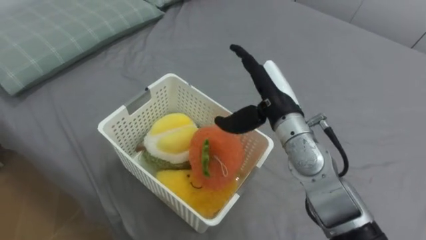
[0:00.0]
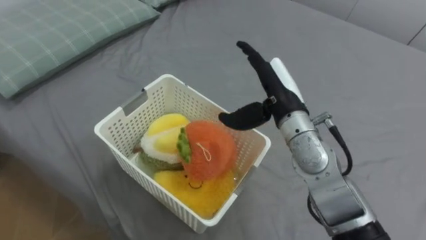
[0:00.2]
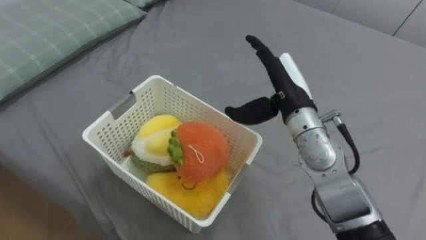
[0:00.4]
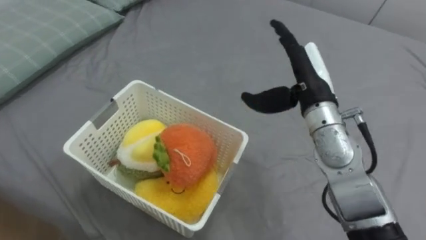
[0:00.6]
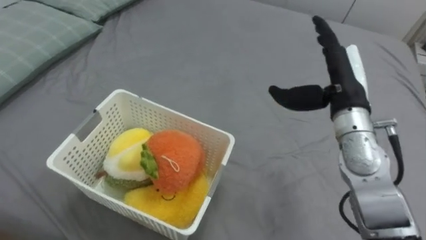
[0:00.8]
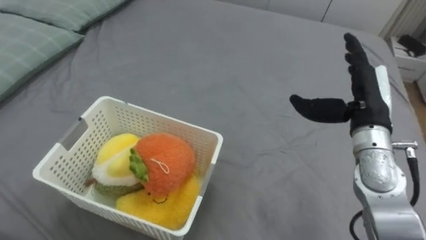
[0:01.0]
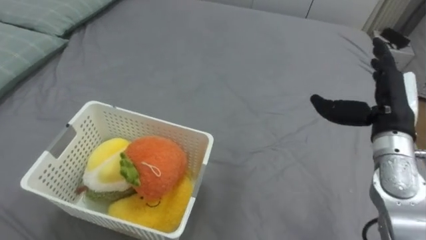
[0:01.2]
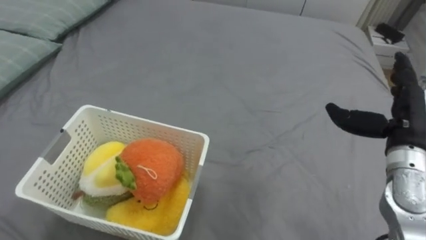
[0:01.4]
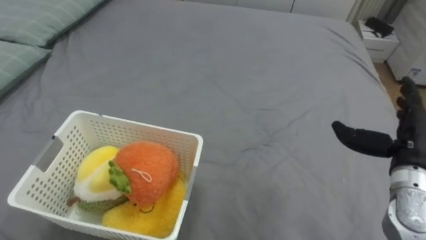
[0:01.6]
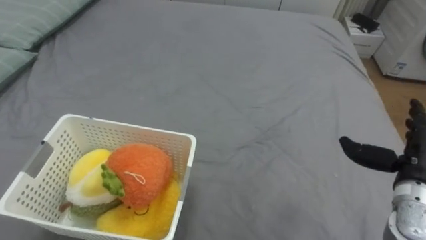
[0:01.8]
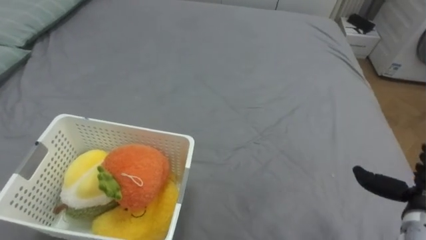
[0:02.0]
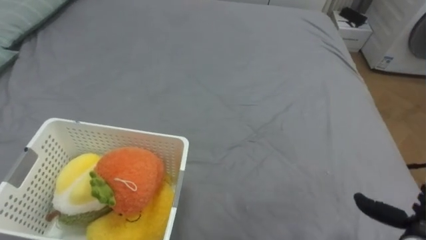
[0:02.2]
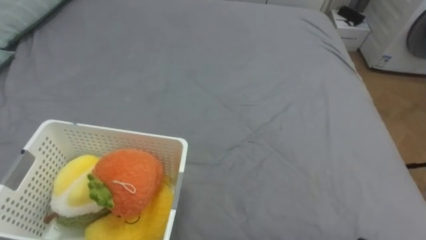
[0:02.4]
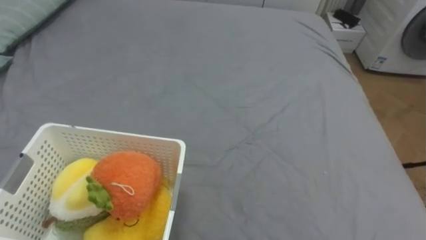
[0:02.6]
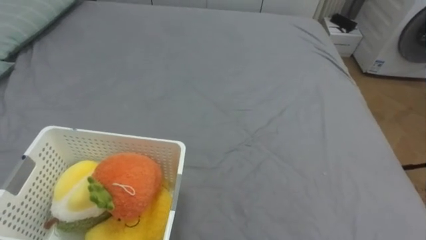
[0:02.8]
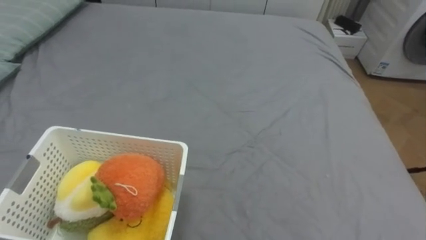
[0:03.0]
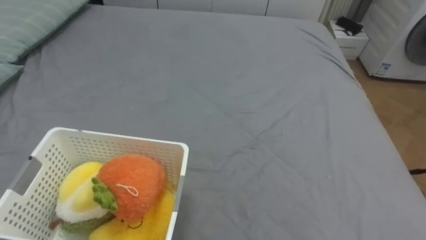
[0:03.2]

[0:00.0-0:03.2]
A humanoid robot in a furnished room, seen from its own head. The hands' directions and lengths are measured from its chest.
Task of the whole recording: Put the toys on the bed into the basket on the left.
0:00.0 to 0:01.6: The right hand shifts some 20 cm to the right.

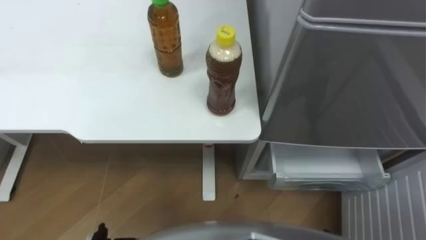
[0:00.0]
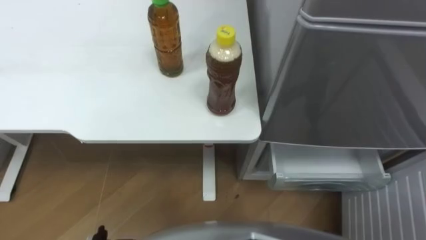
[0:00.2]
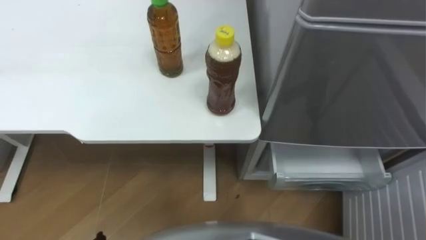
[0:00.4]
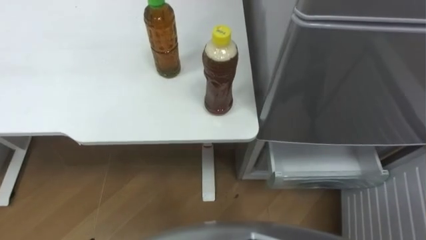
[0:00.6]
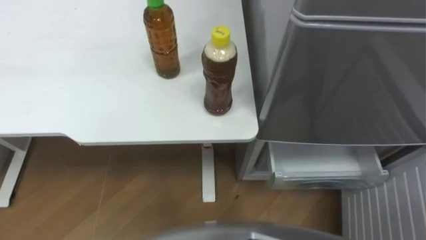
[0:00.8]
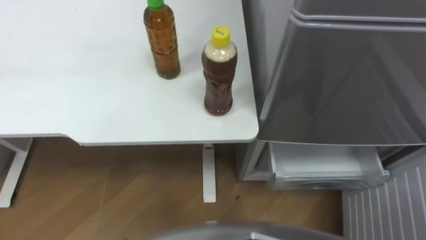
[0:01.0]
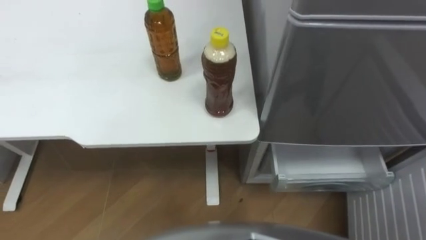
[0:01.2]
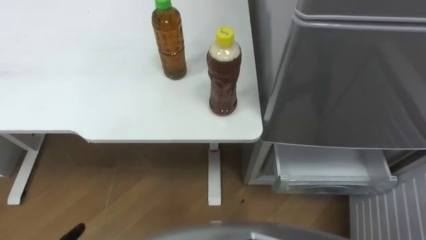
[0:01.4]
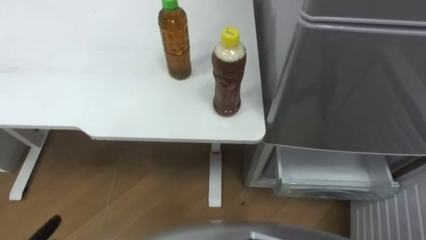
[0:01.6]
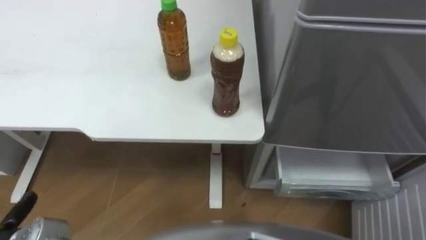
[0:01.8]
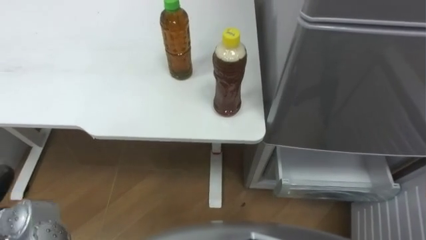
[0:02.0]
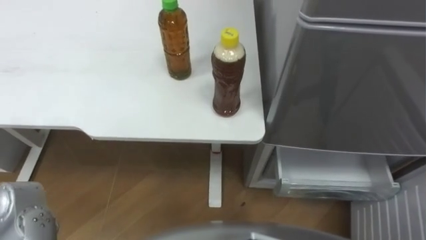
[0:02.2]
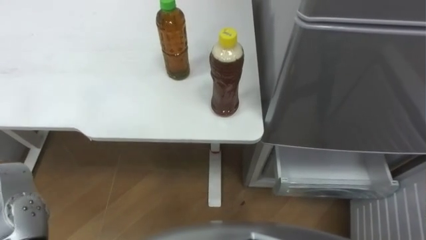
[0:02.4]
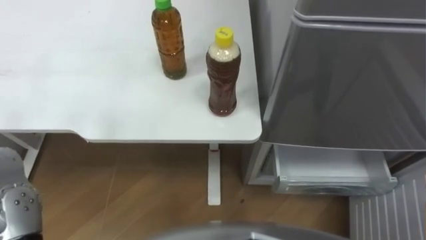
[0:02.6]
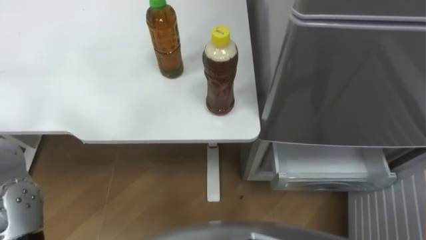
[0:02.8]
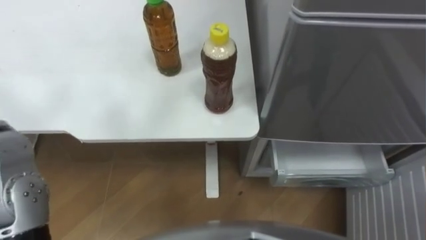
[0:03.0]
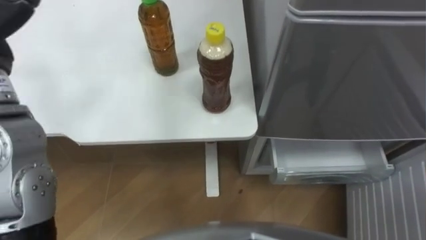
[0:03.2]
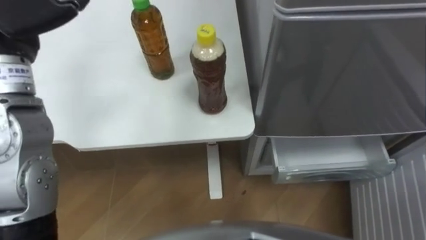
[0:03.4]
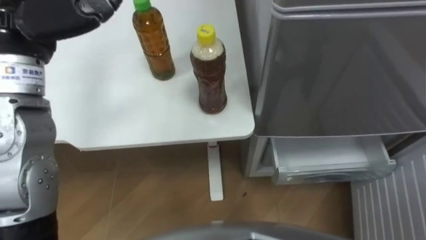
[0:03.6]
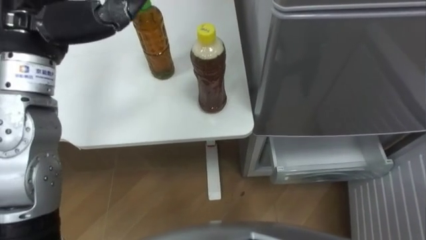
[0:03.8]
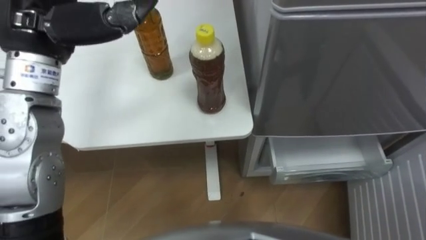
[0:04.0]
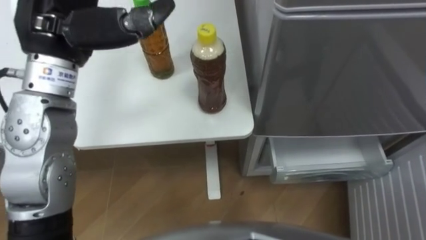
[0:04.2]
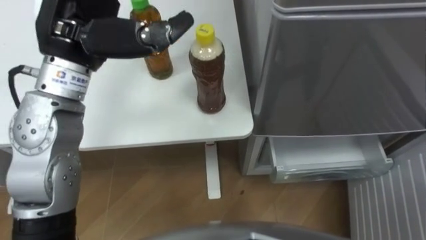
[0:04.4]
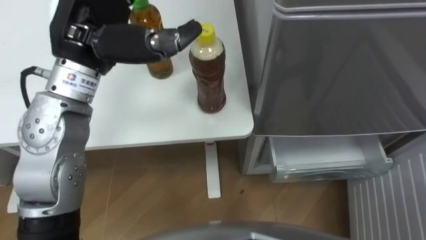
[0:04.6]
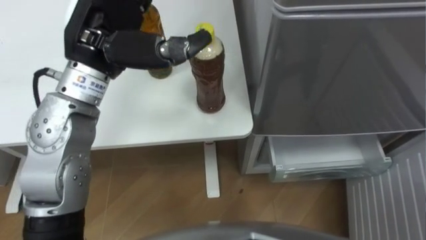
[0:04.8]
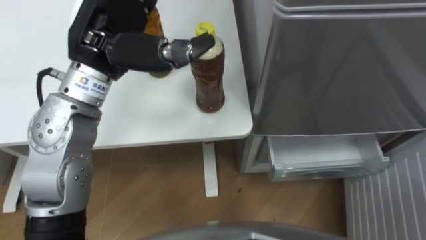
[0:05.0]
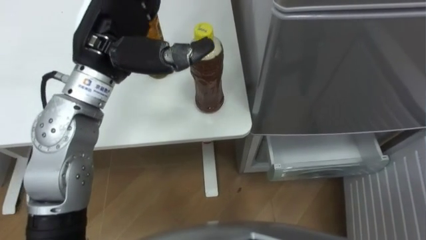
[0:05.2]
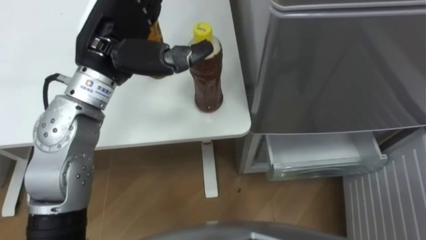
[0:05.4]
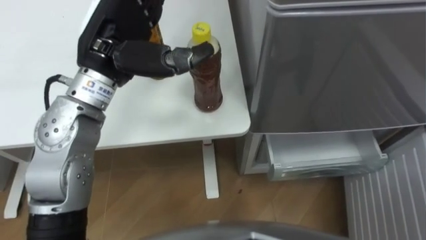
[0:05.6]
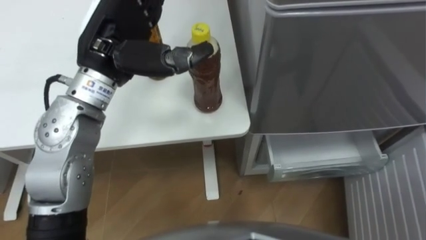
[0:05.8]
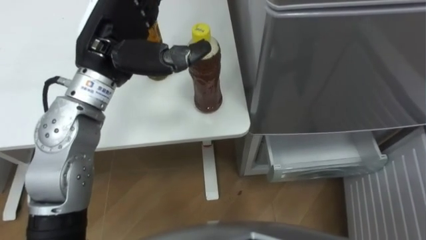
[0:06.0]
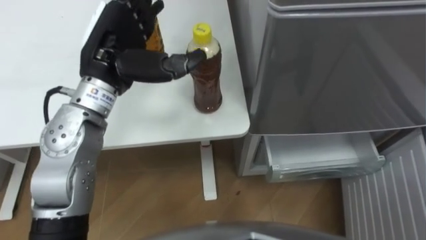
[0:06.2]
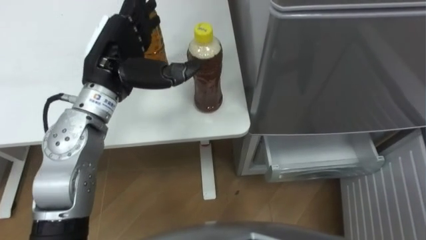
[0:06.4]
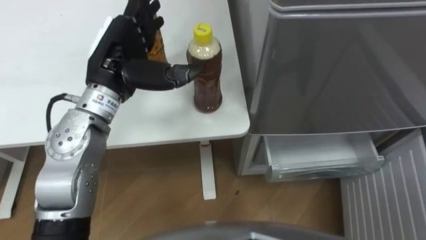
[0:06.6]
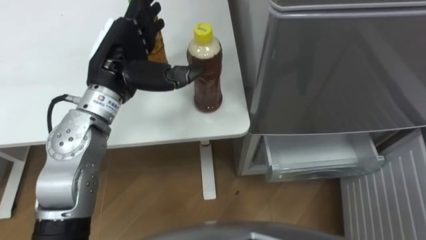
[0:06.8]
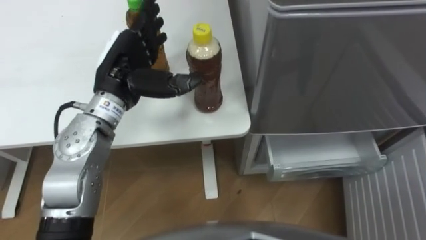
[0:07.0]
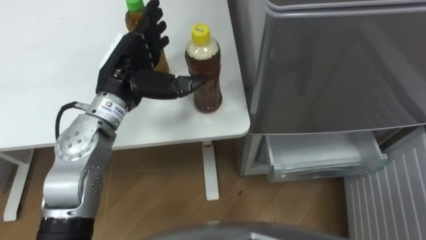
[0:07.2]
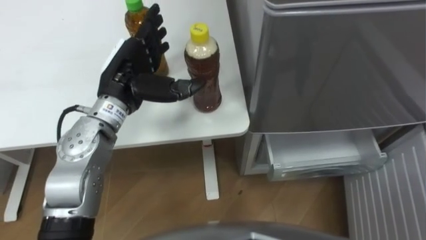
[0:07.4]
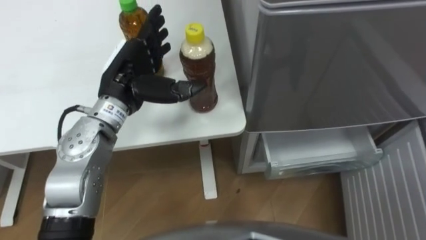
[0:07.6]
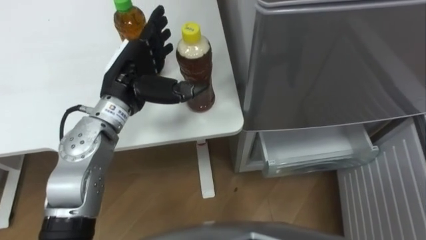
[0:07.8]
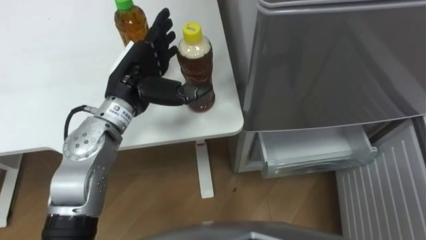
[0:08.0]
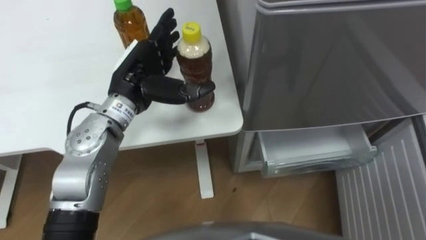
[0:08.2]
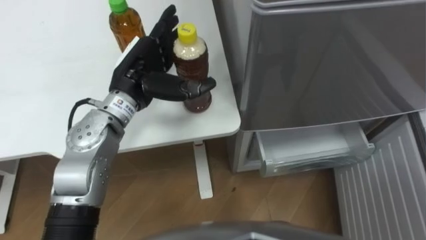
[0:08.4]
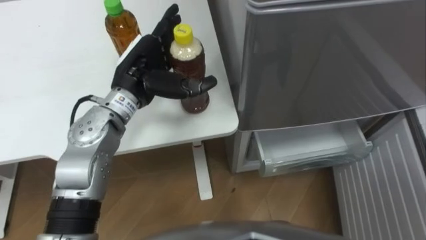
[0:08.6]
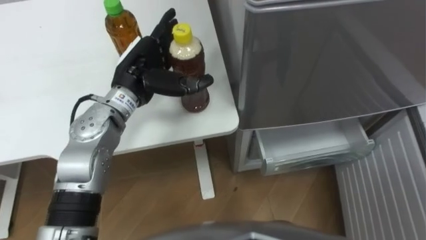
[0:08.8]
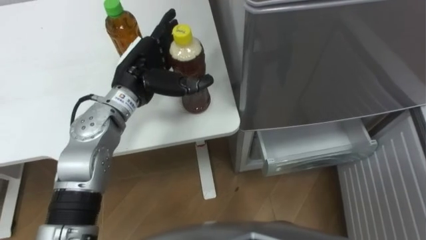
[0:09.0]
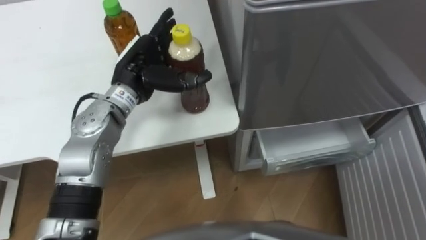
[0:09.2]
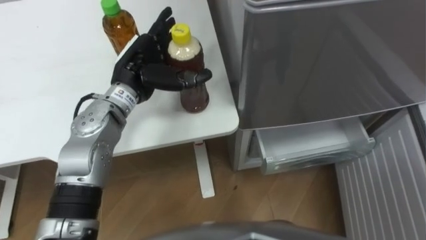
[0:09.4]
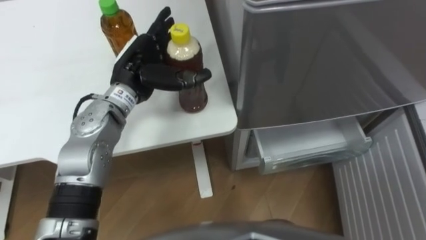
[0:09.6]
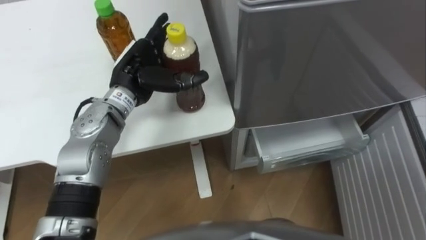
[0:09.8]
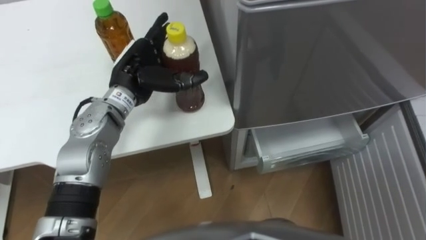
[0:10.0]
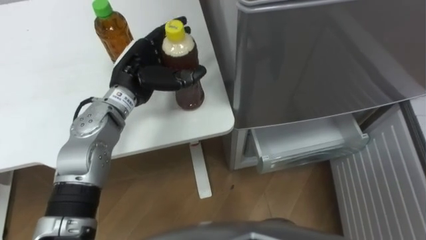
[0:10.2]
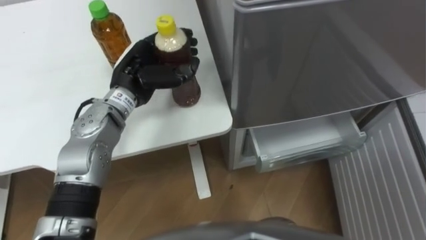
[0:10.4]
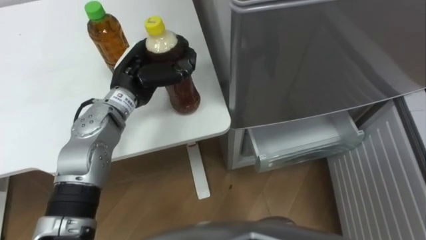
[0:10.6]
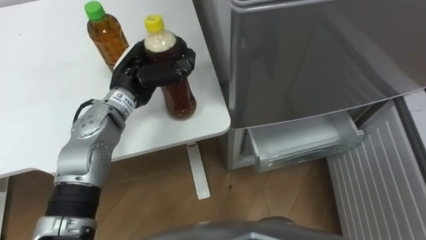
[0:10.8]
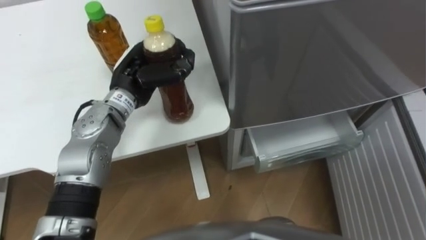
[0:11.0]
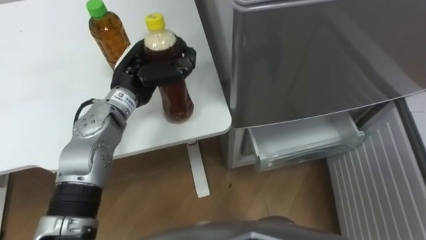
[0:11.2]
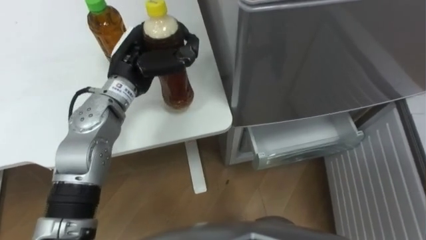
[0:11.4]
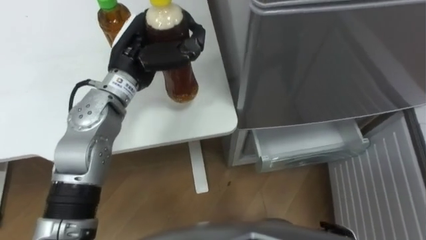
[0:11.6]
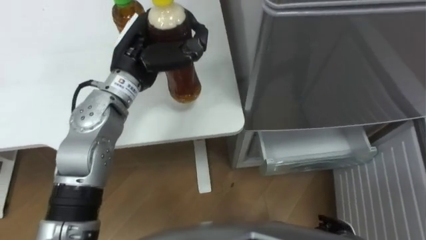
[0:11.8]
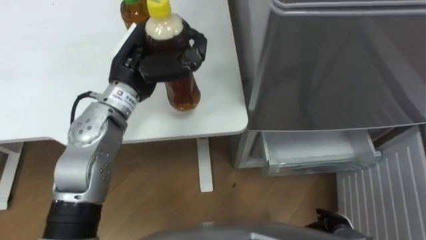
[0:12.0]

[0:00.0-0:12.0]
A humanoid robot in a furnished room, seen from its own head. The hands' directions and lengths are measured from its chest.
Task of the whole recording: Place the drink on the table on the bottom shelf of the refrigerator, then close the drawer and the refrigerator door.
0:04.4 to 0:06.0: The left hand changes place by about 5 cm.
0:06.0 to 0:07.6: The left hand is displaced downward by approximately 10 cm.
0:09.0 to 0:10.4: The left hand closes.
0:10.4 to 0:12.0: The left hand heads upward, covering roughly 5 cm, and closes up.

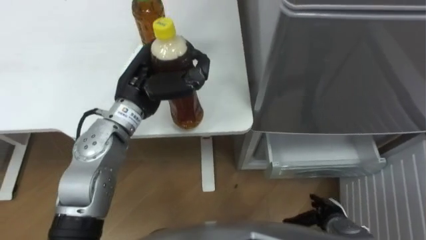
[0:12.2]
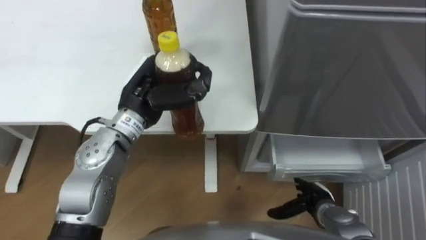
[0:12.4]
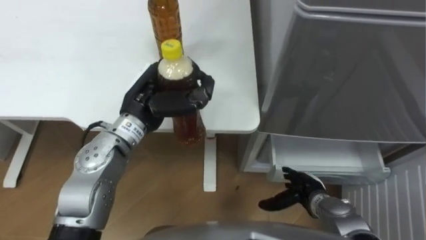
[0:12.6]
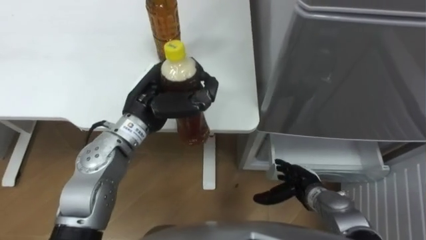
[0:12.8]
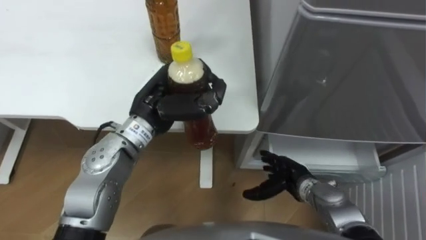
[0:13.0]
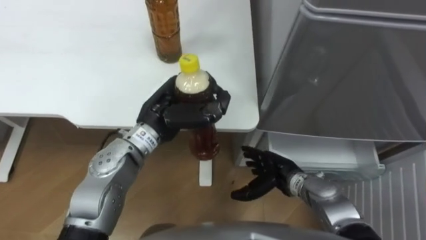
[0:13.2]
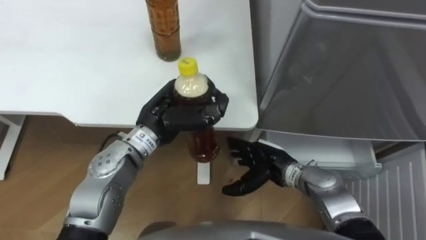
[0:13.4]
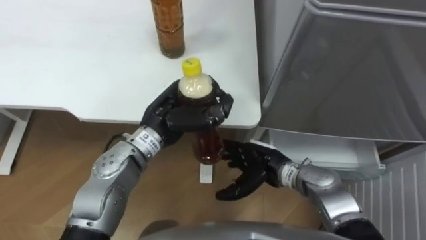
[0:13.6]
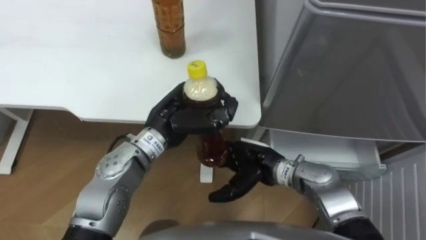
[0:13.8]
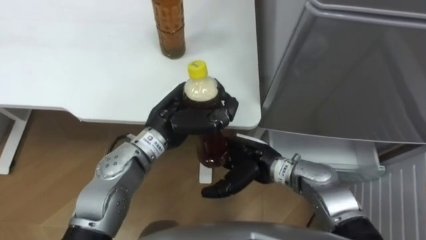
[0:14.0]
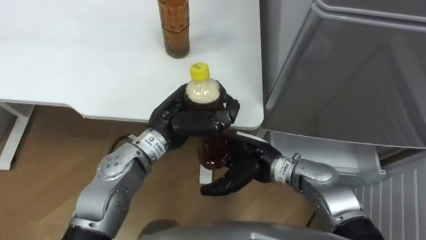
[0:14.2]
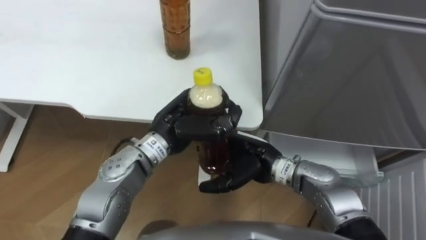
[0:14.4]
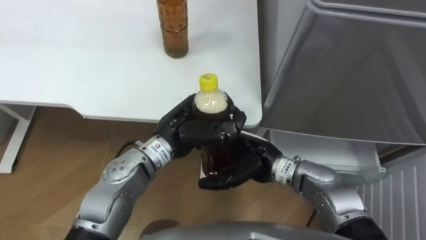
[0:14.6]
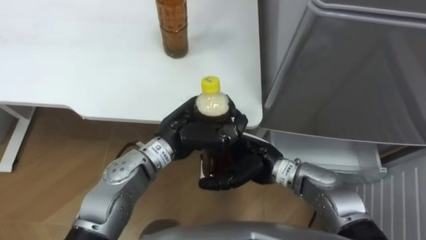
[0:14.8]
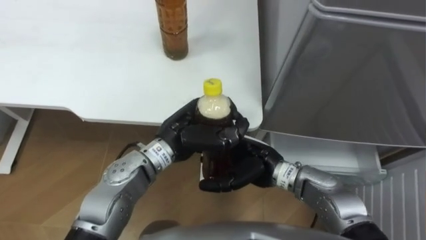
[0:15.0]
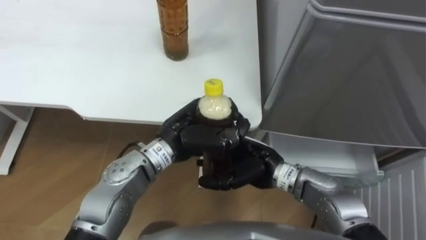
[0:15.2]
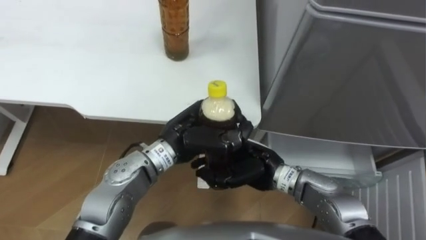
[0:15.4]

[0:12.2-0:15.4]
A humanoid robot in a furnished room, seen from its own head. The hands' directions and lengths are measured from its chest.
Task of the whole recording: Place the drink on the table on the bottom shelf of the refrigerator, then close the drawer and the refrigerator door.
0:12.2 to 0:13.8: The left hand ends up some 10 cm from where it was, while the right hand is displaced to the left, upward and forward by about 25 cm.
